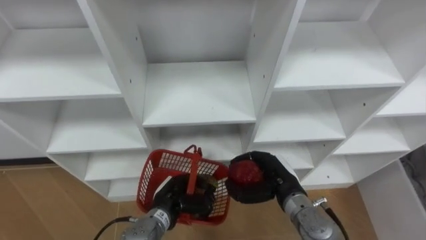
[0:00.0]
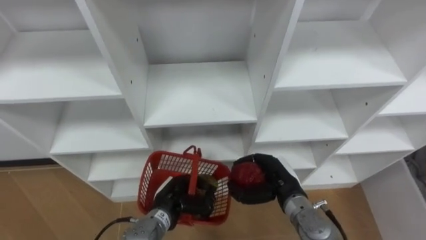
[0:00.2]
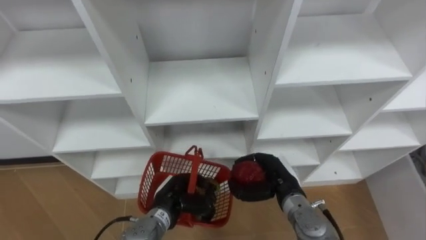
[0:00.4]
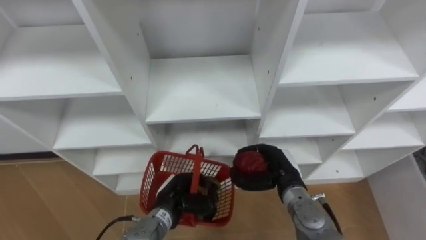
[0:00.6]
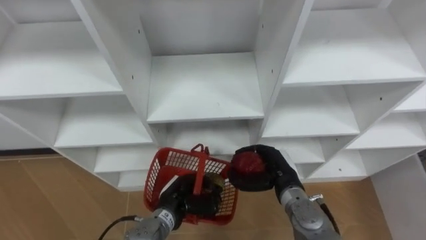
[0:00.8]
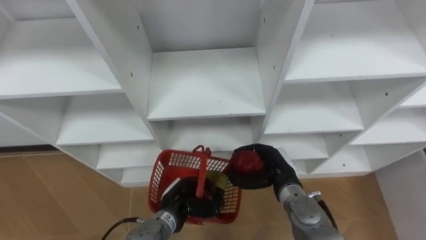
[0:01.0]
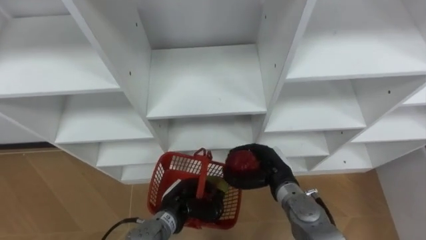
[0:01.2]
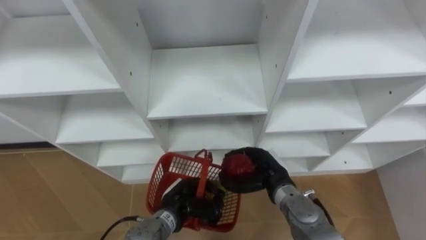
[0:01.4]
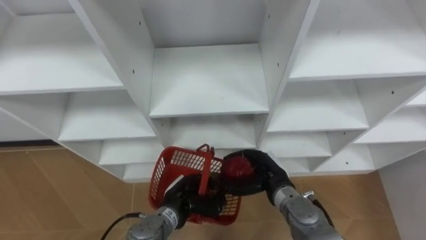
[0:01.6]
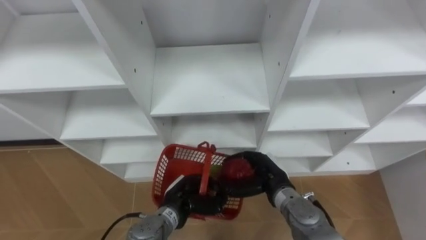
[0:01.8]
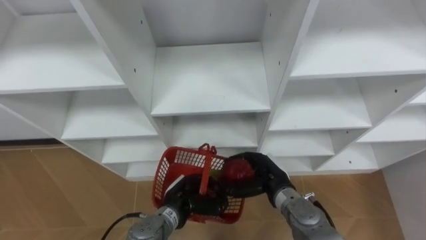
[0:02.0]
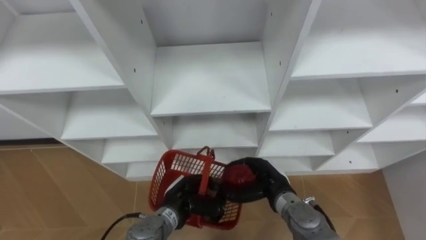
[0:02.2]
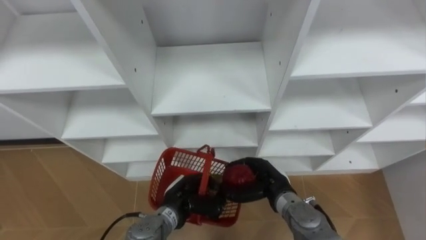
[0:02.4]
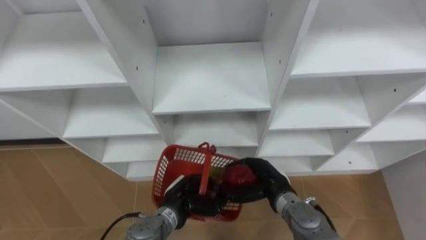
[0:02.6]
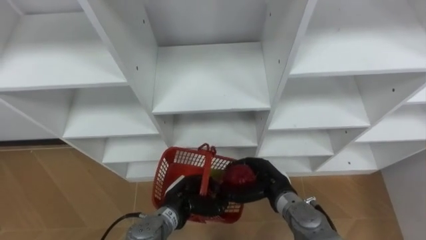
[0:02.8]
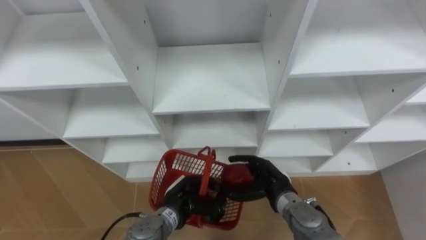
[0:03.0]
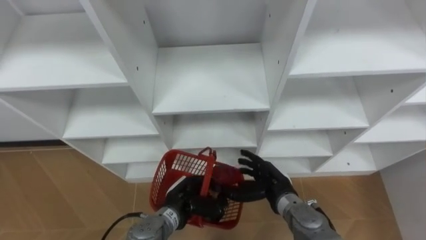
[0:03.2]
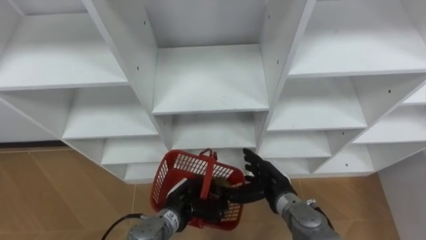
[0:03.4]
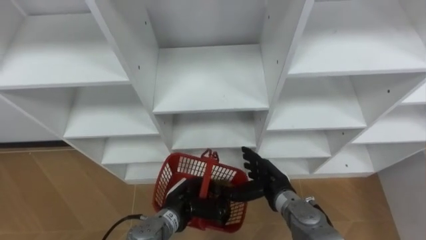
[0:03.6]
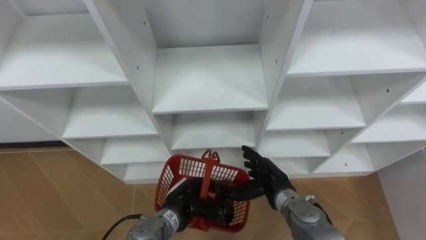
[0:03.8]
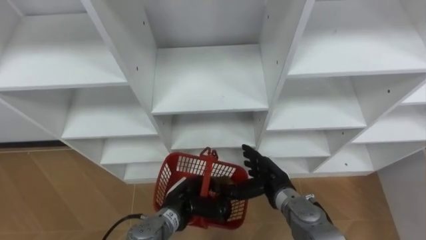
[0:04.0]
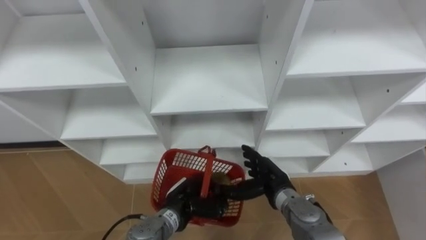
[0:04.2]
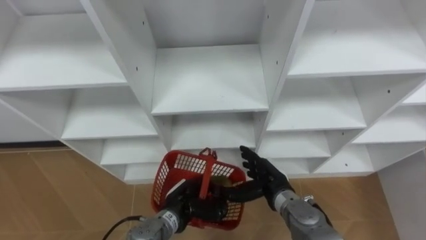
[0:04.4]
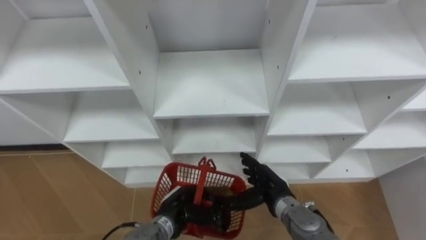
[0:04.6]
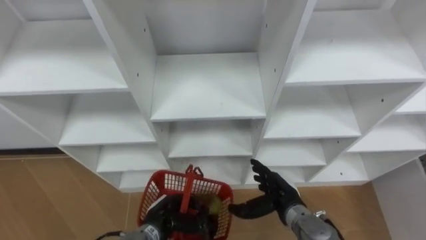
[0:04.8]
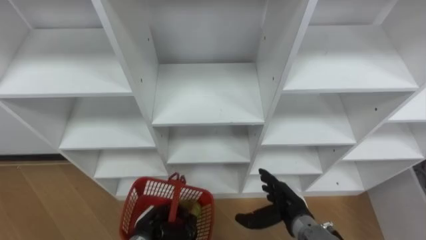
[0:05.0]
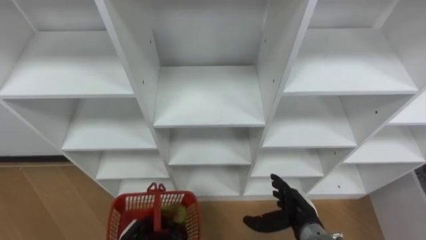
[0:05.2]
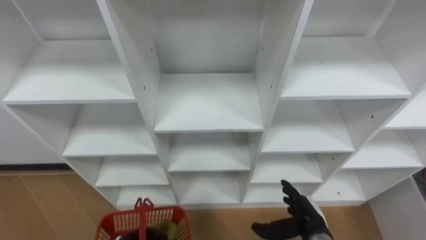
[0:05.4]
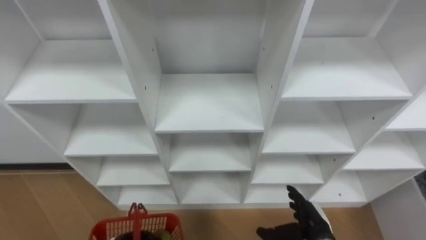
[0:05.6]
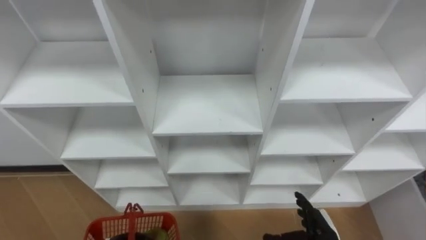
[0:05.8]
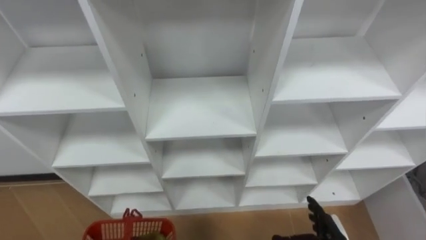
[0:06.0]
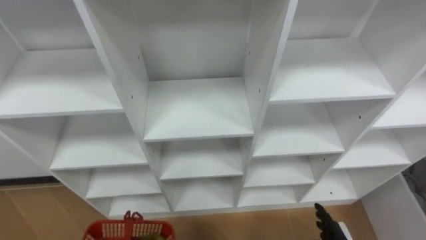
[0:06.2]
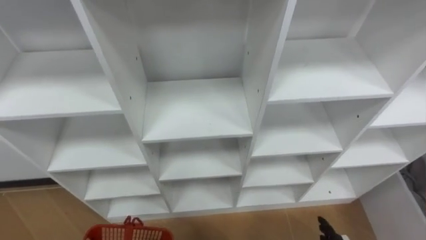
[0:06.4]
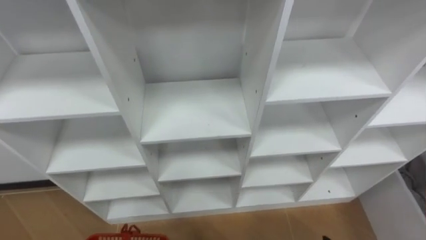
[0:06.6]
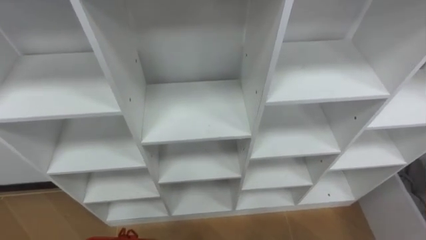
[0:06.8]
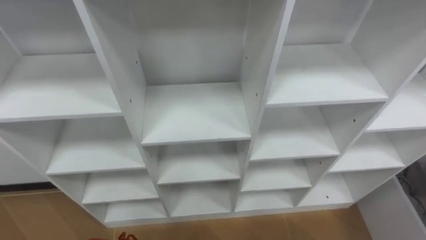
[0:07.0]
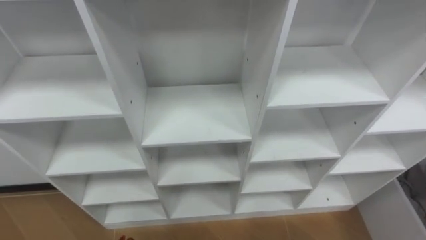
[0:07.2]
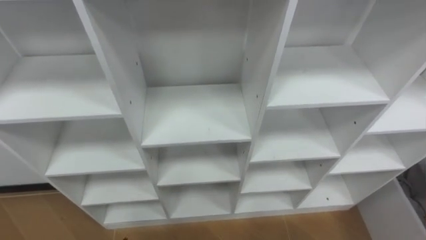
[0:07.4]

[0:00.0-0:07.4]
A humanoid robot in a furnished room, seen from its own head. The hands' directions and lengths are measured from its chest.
Task of the whole recording: Hold the basket and collect the fruits from 3 different cells of the closet into it.
0:01.4 to 0:03.0: The hands stay close to where they were, moving slightly.
0:03.0 to 0:04.4: The right hand opens its fingers.
0:04.4 to 0:06.0: The right hand travels to the right, backward and downward by approximately 15 cm.

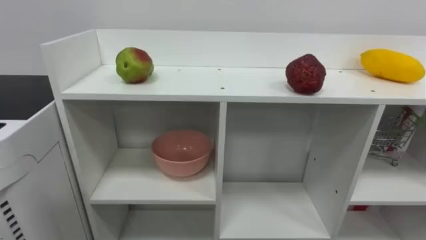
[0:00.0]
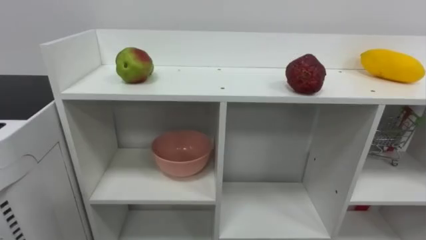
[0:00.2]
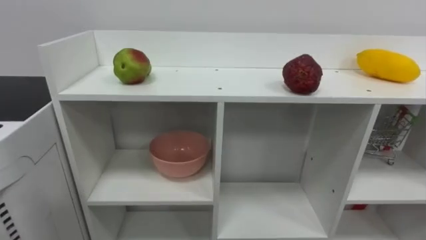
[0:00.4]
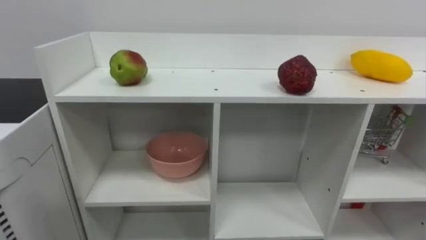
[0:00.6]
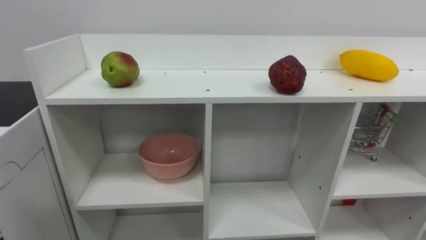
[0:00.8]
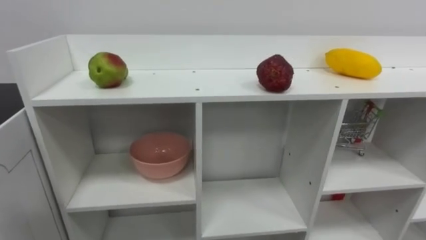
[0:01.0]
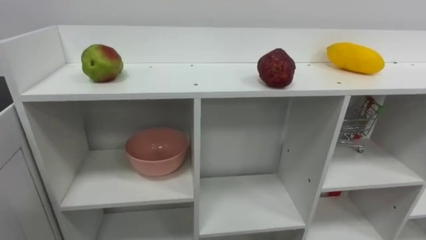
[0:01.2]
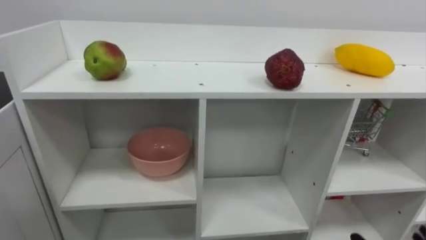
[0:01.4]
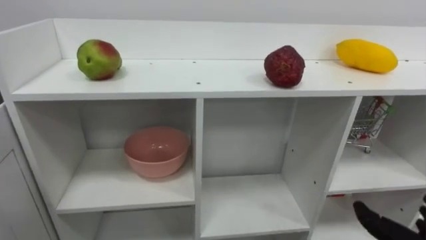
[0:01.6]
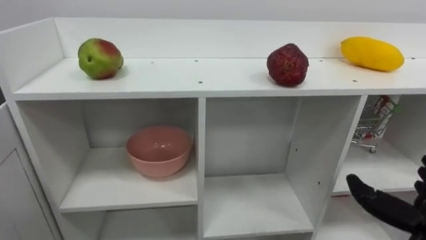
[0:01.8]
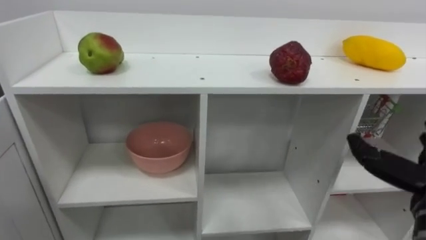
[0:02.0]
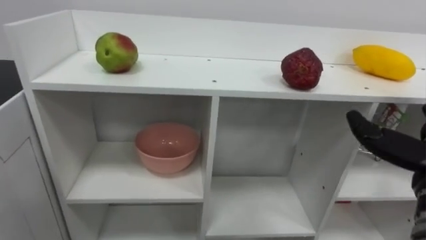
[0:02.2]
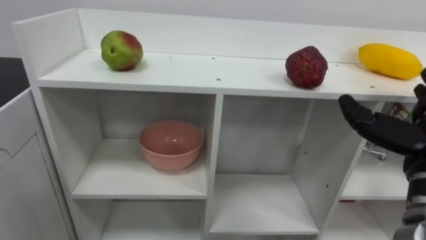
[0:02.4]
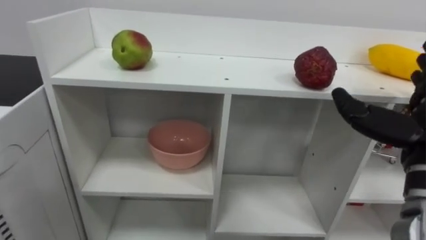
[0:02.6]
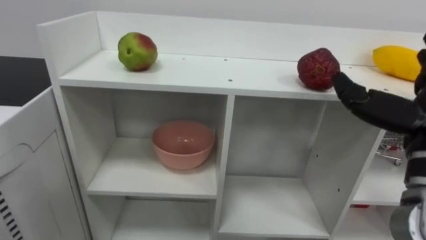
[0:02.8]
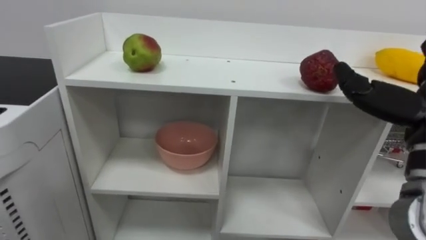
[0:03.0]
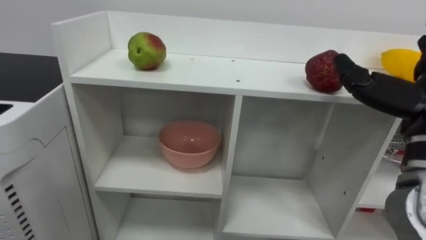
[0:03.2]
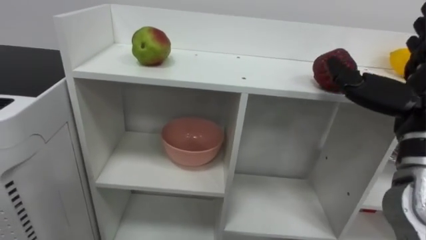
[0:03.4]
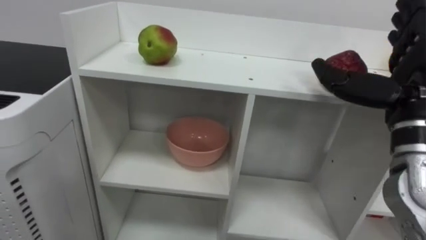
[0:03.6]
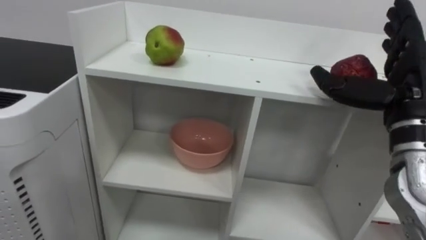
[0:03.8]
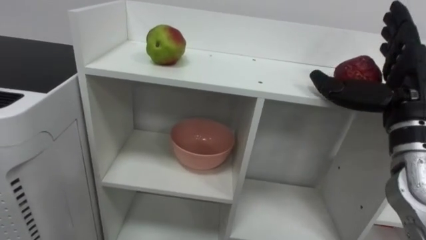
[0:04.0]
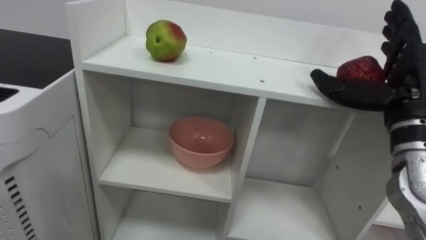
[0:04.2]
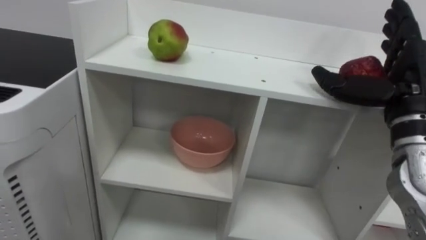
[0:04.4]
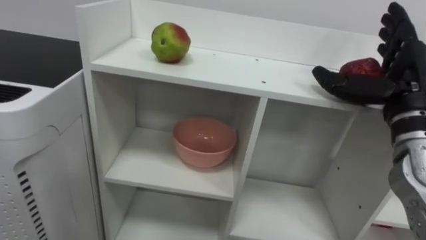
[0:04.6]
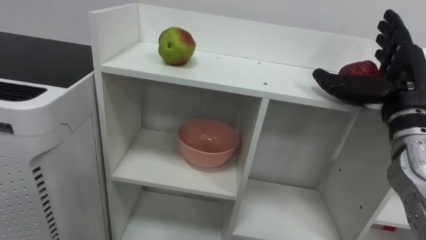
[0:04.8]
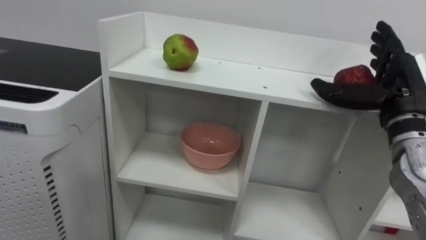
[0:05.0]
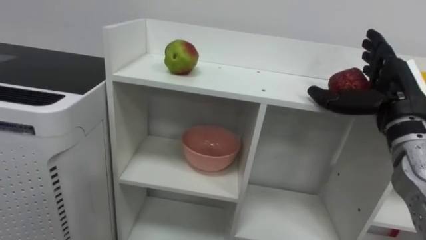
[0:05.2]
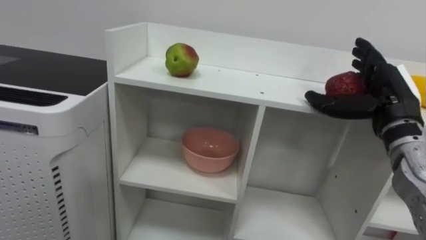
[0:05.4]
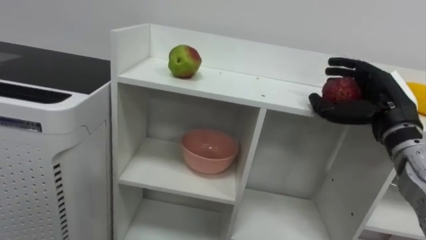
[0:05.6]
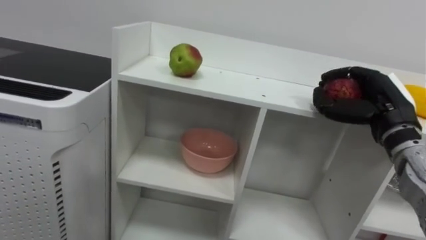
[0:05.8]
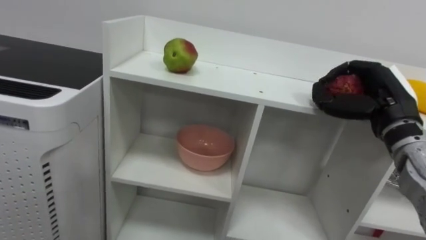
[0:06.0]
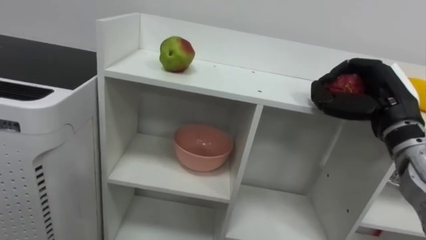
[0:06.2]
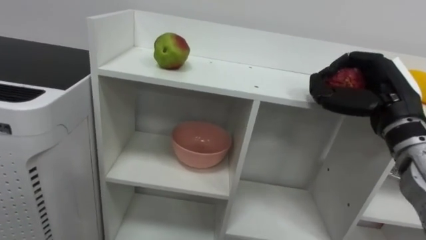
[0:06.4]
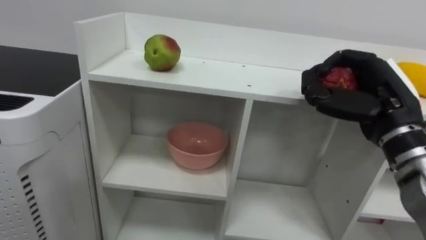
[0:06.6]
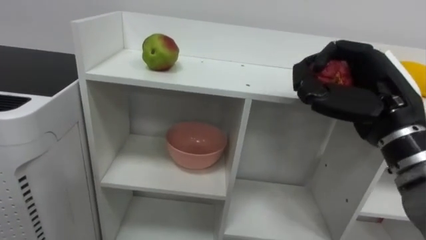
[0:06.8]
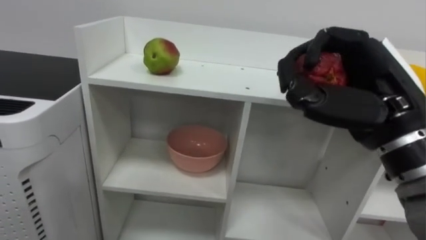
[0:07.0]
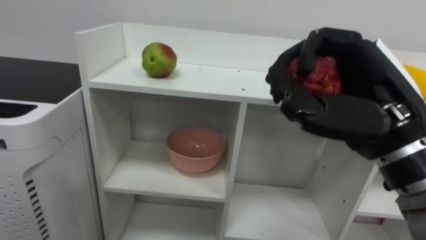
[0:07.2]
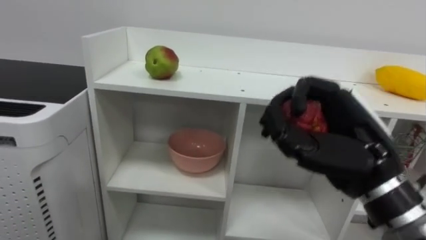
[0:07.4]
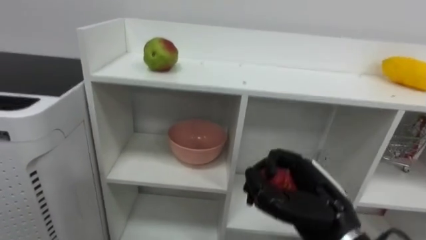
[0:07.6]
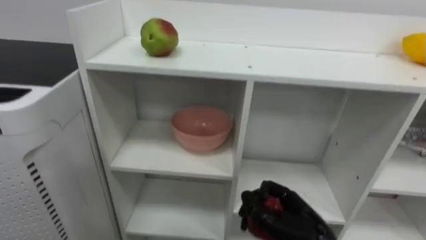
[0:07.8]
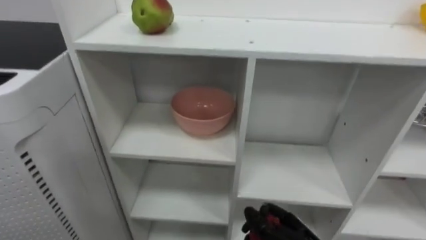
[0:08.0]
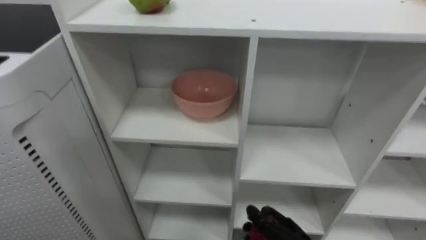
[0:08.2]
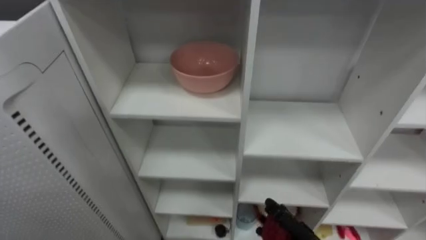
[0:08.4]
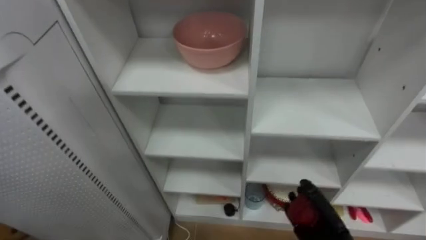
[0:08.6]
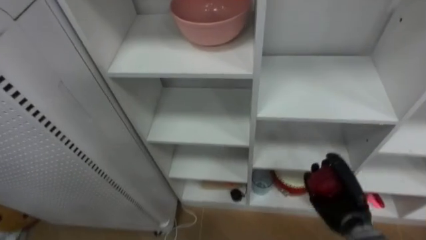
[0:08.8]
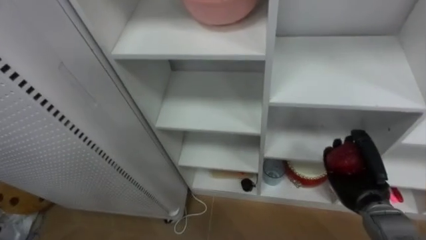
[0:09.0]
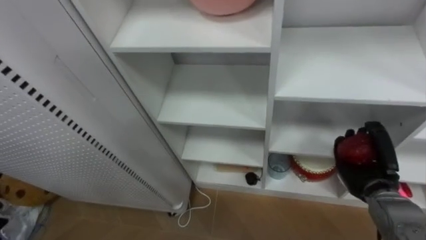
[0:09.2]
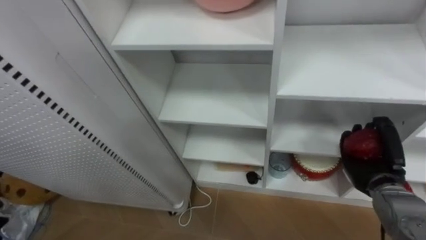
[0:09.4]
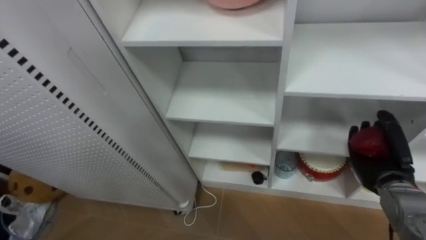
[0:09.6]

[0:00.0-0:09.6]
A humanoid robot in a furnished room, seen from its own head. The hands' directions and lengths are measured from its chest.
Task of the whole recording: Put the apple in the cell in the second column from the left and the second row from the top.
0:04.8 to 0:06.4: The right hand closes its fingers.
0:06.4 to 0:08.0: The right hand travels downward and to the left by approximately 25 cm.
